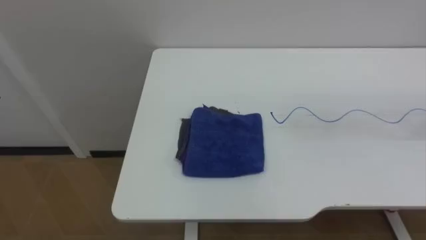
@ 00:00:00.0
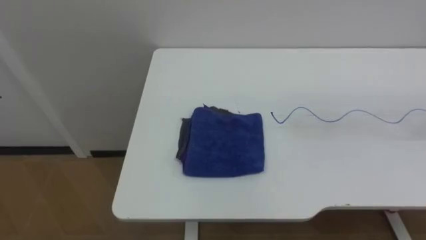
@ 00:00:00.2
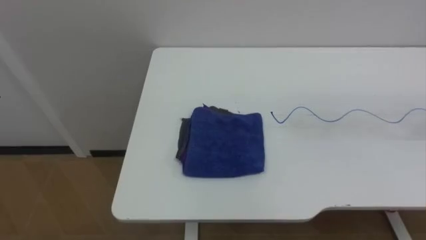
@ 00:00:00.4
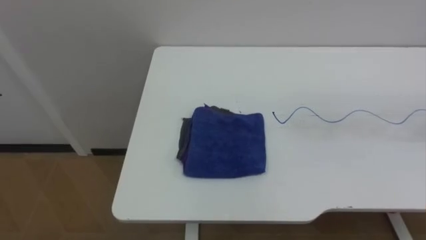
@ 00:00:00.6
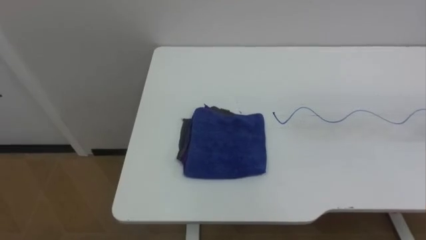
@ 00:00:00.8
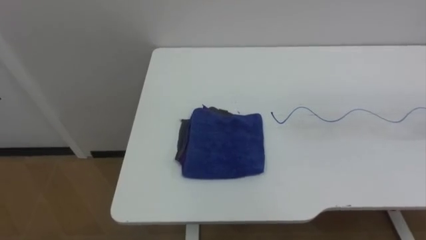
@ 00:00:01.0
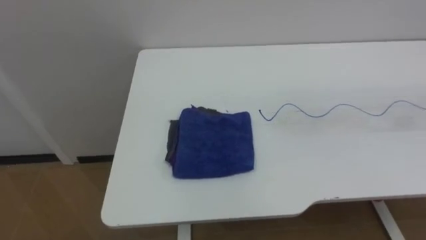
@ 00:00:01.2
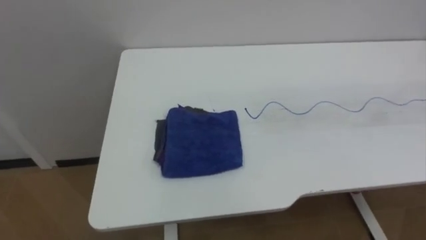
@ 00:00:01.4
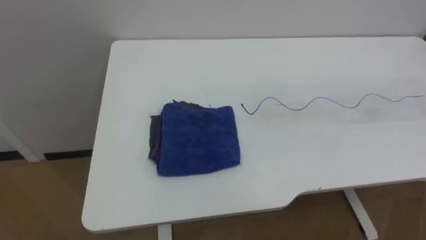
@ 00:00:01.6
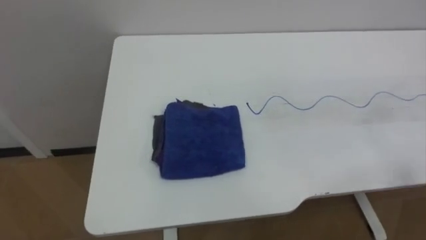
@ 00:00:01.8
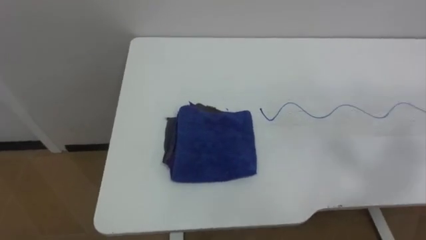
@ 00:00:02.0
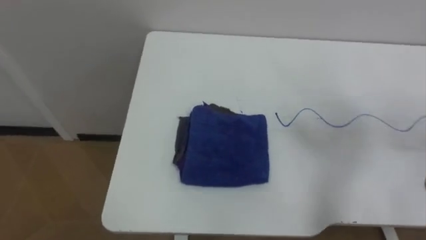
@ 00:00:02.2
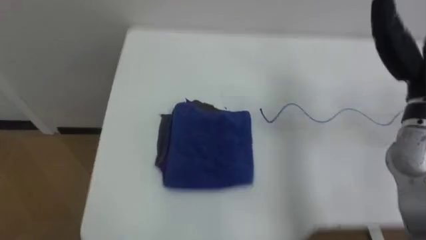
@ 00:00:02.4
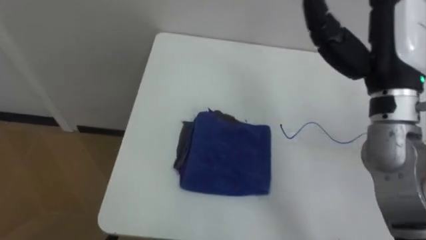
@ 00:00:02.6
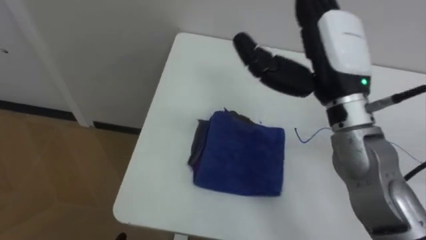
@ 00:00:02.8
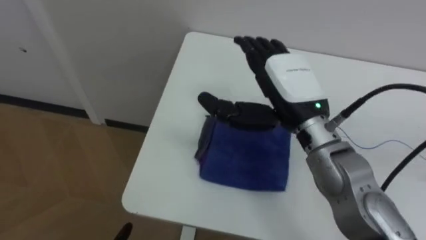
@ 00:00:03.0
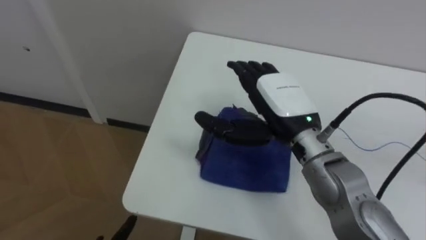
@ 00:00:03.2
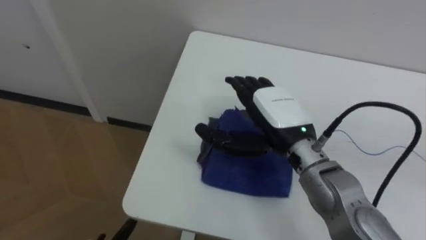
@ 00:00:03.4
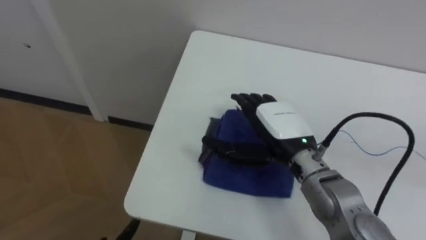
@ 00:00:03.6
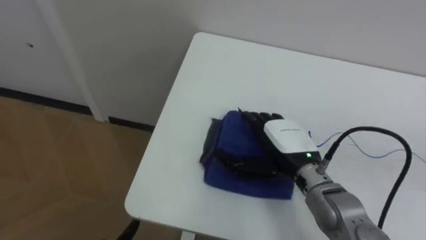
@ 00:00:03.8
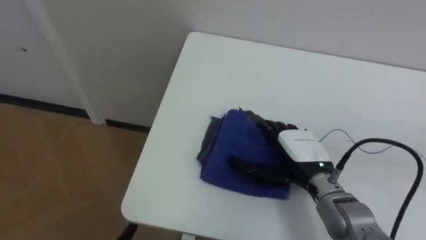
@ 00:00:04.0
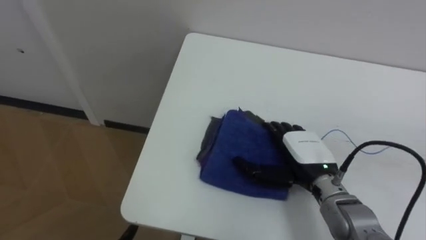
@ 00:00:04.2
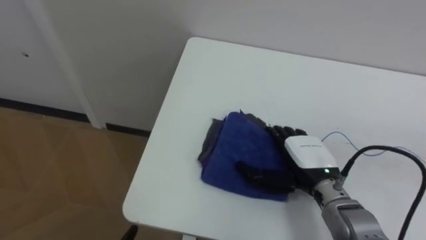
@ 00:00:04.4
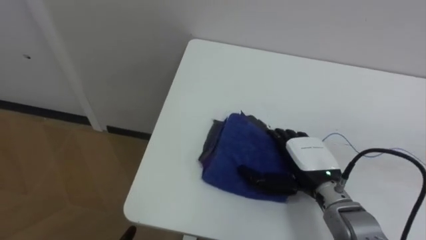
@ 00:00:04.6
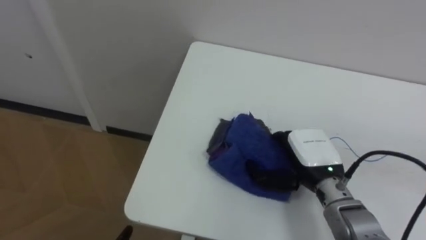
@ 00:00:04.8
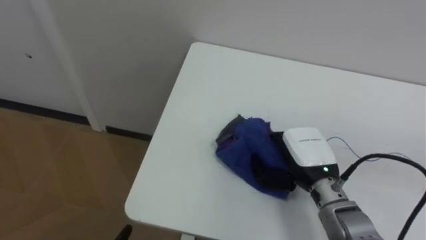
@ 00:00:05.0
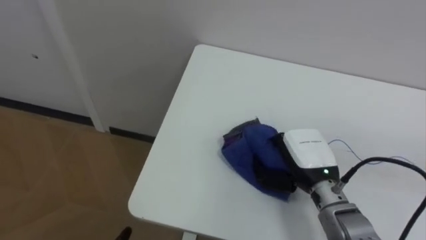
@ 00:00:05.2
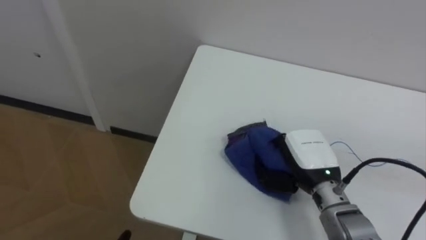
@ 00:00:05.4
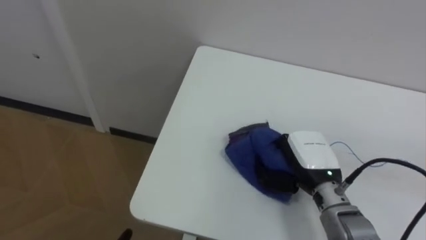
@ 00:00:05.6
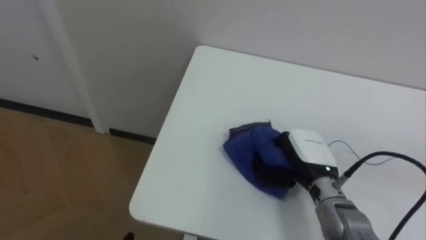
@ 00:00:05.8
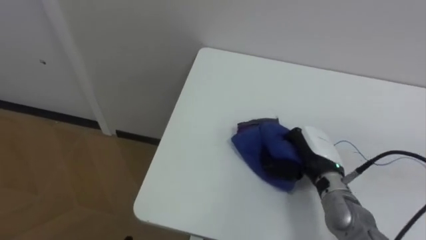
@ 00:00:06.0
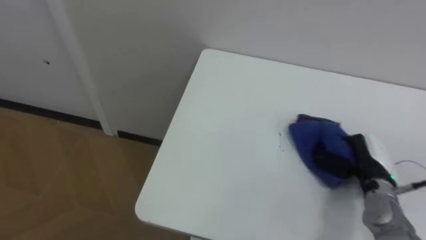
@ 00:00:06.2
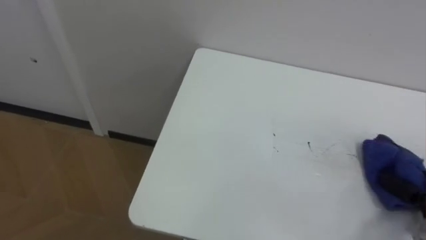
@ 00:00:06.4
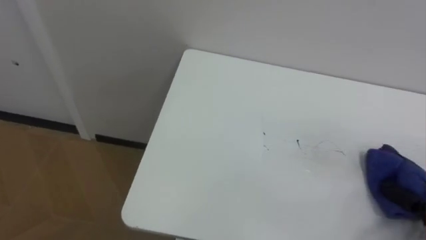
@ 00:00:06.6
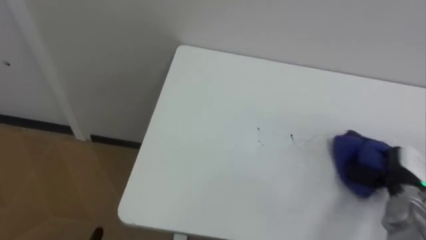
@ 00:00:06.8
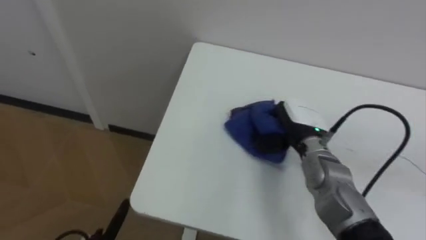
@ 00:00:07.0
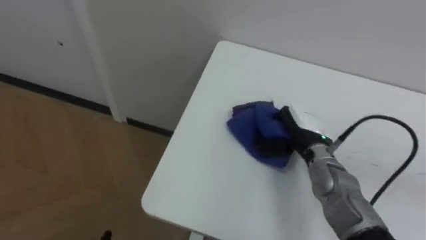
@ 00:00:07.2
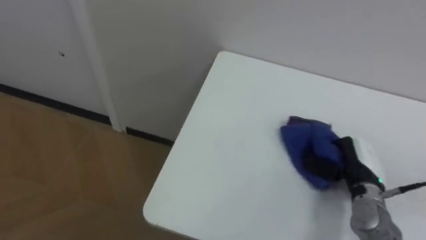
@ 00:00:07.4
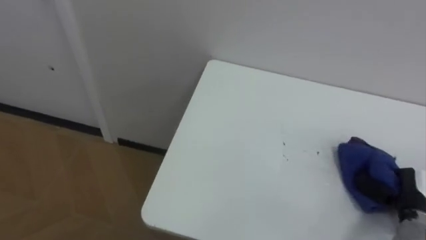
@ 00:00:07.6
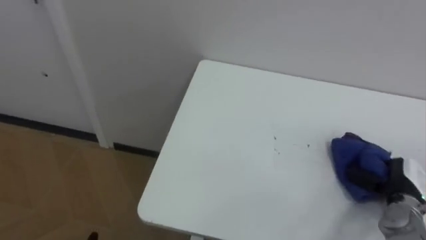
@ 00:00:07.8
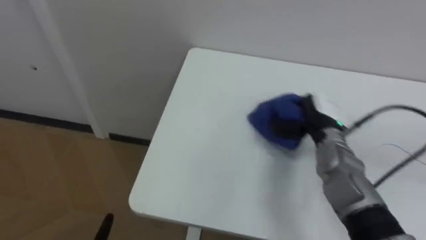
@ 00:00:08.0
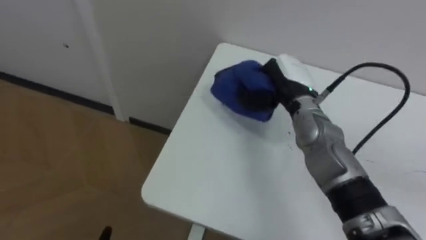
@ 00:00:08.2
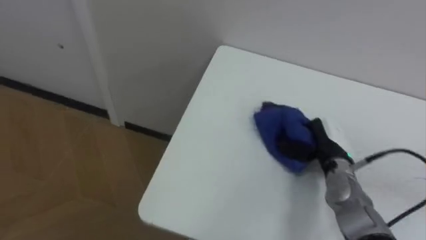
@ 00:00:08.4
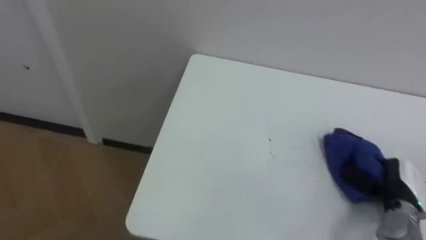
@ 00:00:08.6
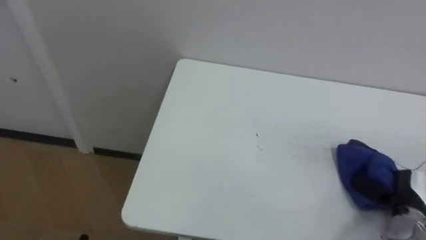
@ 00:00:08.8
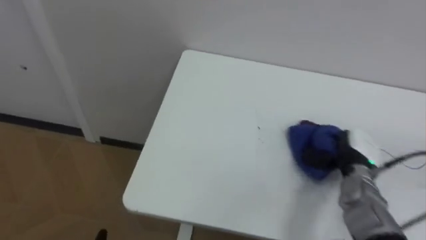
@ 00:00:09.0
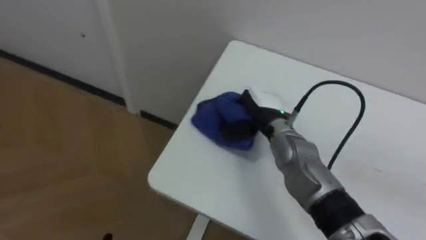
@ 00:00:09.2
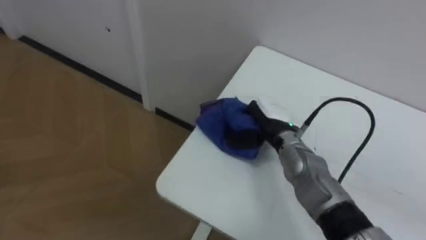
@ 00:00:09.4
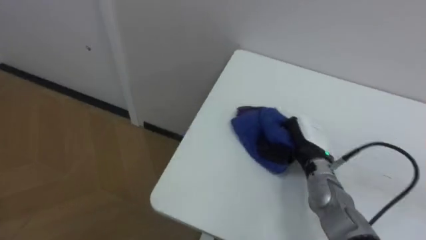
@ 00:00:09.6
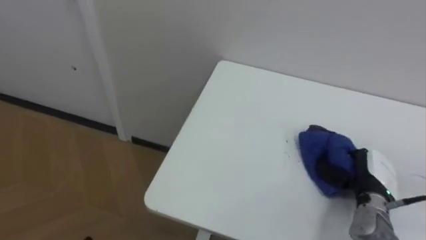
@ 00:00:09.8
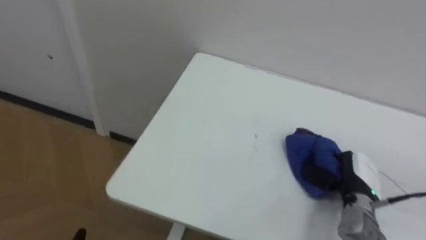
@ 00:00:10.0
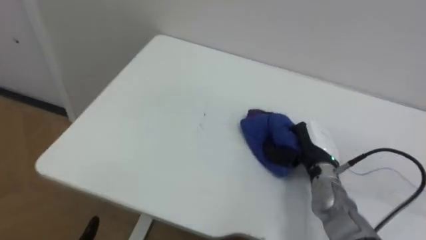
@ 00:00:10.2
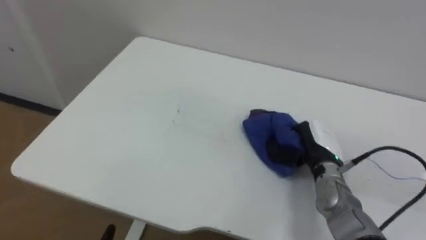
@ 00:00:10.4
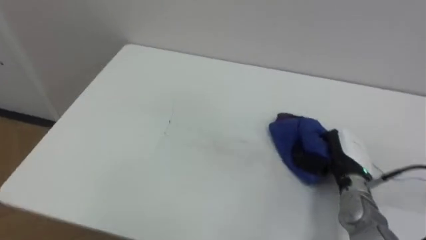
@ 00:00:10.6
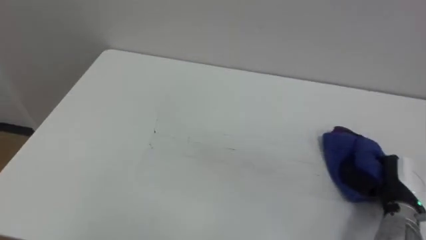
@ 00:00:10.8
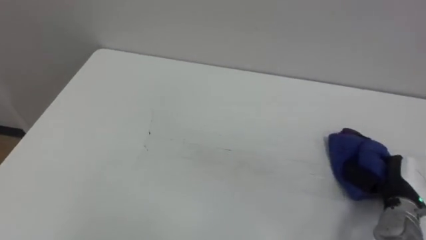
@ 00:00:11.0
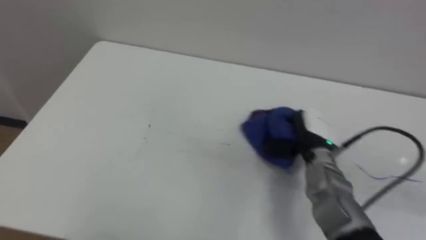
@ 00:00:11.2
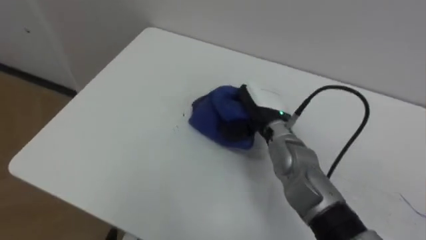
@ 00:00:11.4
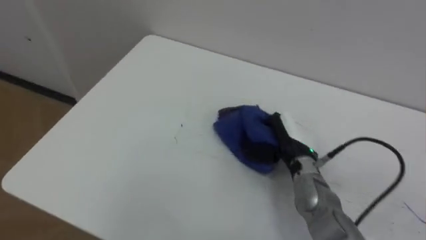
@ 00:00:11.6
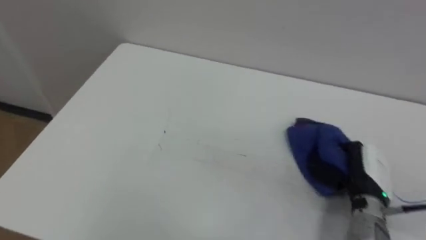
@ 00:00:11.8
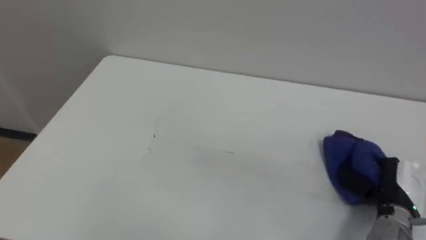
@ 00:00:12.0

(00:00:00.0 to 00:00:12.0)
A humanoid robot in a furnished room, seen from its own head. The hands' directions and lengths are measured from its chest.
Task of the whole recording: Wipe the blue pen marks off the table with the rag.
00:00:03.0 - 00:00:04.4: The right hand is displaced downward by roughly 15 cm.
00:00:04.4 - 00:00:06.0: The right hand closes up.
00:00:07.6 - 00:00:09.0: The right hand moves left and right over some 25 cm, changing direction 2 times.
00:00:09.0 - 00:00:10.4: The right hand swings left and right, some 20 cm each way, with 2 reversals.
00:00:10.4 - 00:00:12.0: The right hand swings left and right, some 25 cm each way, with 2 reversals.

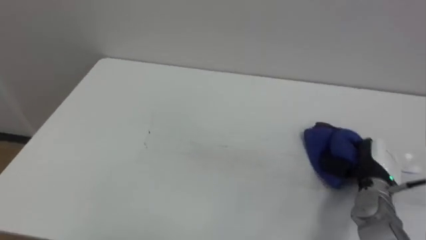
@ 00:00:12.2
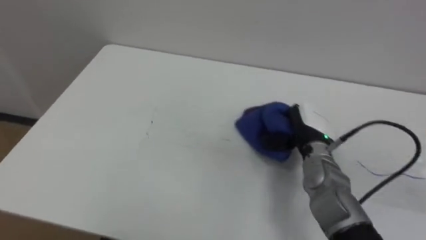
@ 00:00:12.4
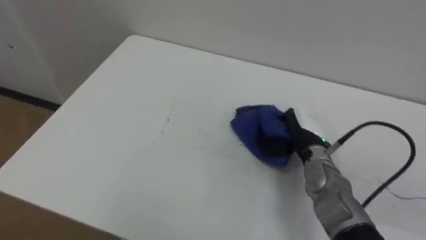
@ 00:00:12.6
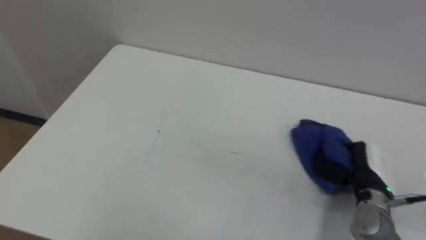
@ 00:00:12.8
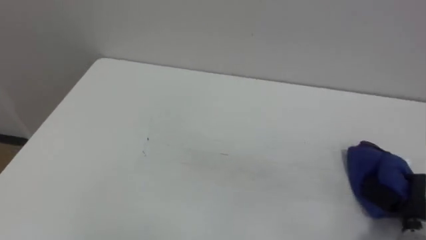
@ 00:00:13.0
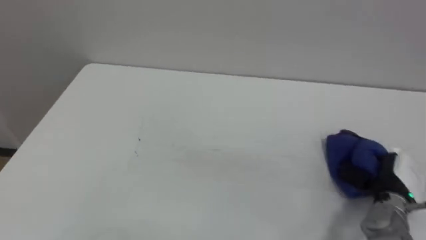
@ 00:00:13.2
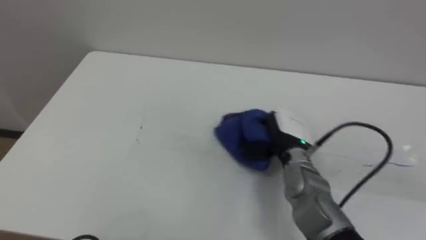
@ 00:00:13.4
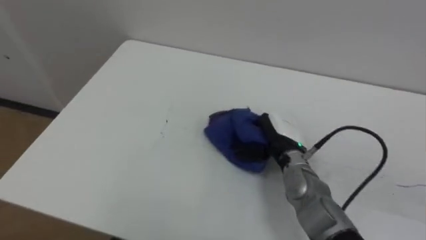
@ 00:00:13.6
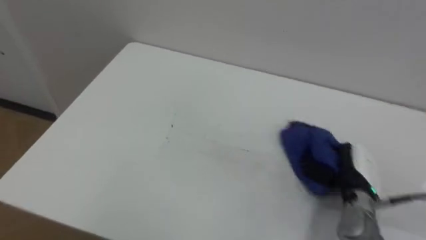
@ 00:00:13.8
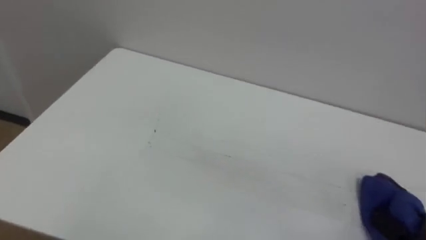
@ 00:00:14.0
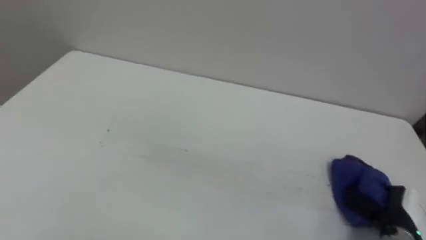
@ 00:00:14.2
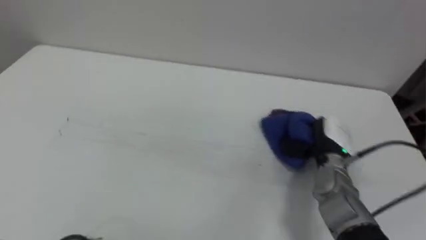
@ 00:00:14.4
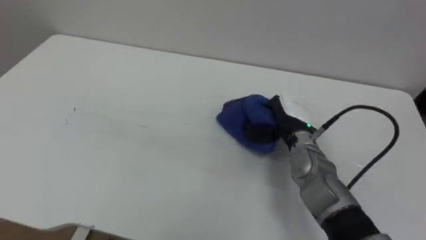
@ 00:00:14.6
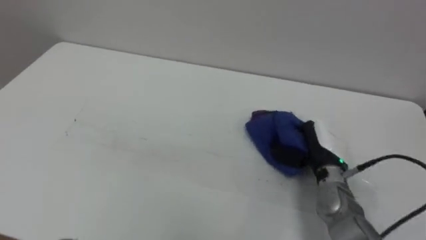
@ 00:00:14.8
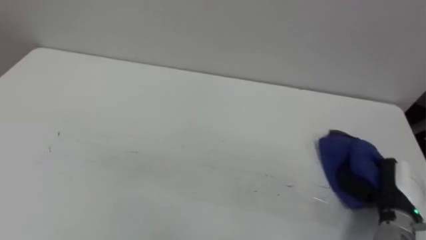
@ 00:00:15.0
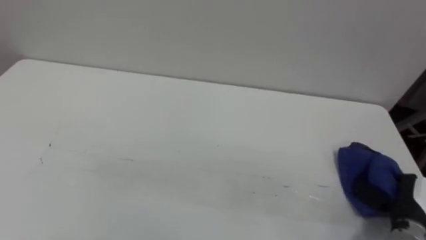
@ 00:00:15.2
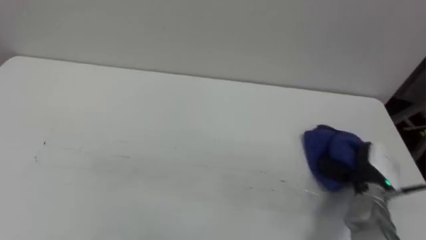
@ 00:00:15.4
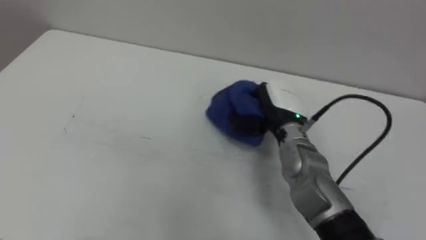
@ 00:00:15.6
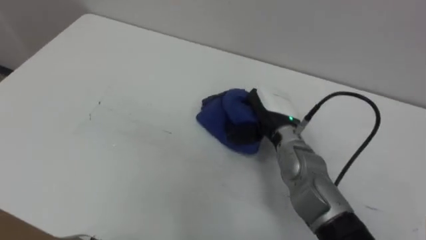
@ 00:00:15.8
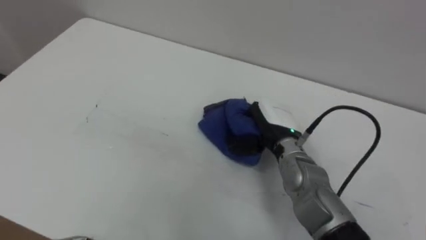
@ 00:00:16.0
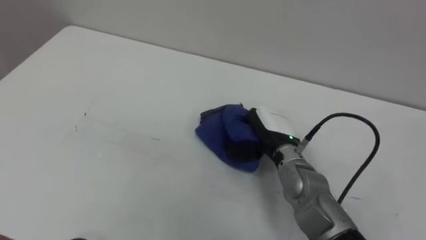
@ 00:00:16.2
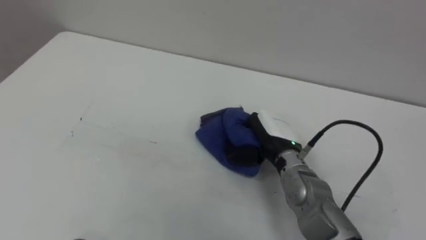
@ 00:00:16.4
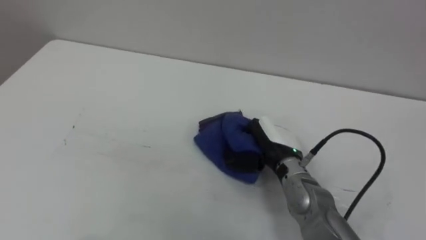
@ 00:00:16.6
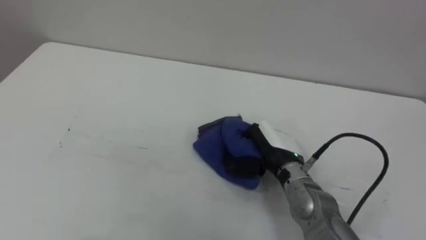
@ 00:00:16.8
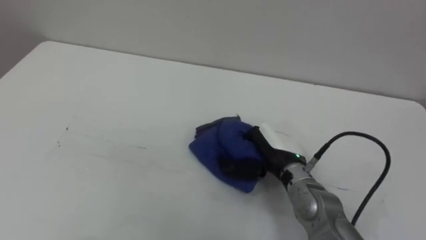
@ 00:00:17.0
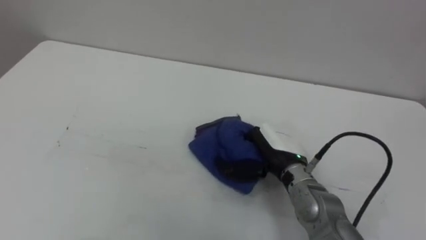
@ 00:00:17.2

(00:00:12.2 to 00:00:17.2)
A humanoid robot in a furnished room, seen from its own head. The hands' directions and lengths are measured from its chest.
Task of the whole recording: Wipe the blue pen marks off the table with the rag.
00:00:12.2 - 00:00:13.8: The right hand swings left and right, about 25 cm each way, with 3 reversals.
00:00:15.6 - 00:00:17.2: The right hand shifts some 10 cm backward and downward.
